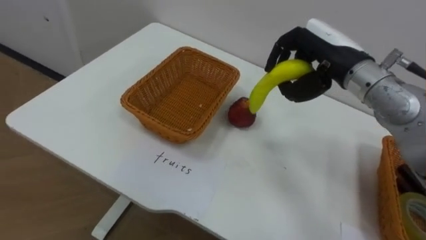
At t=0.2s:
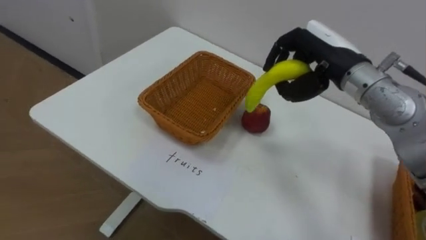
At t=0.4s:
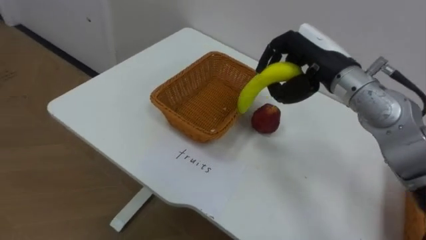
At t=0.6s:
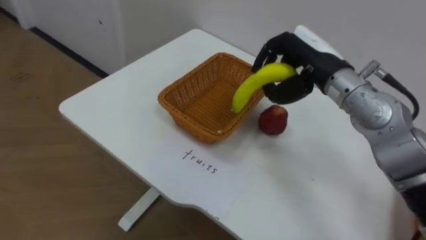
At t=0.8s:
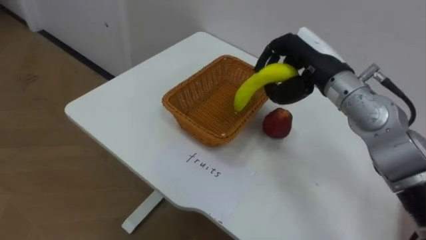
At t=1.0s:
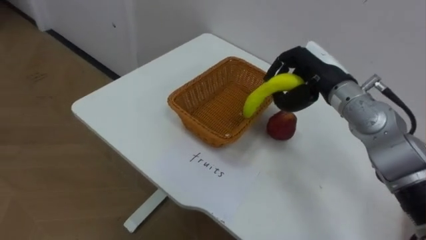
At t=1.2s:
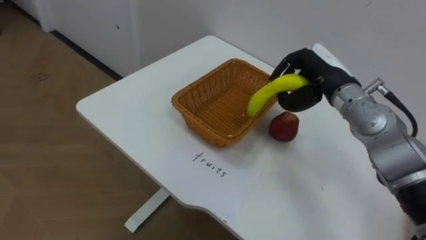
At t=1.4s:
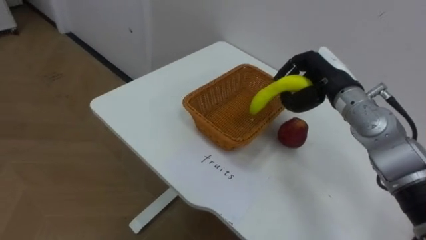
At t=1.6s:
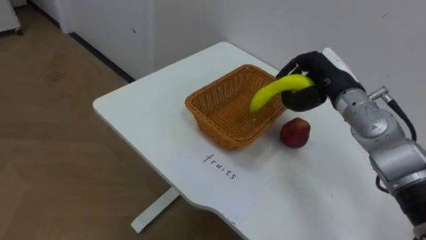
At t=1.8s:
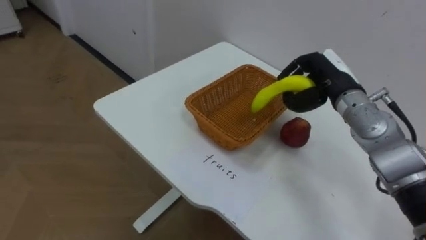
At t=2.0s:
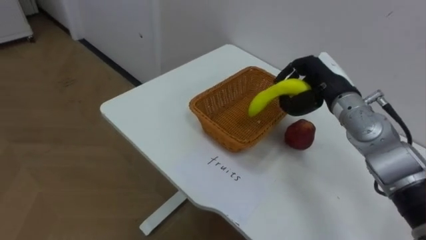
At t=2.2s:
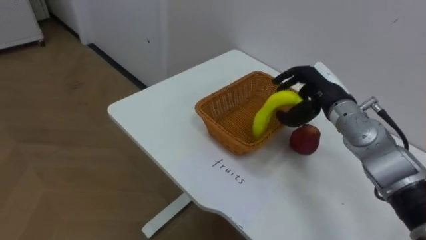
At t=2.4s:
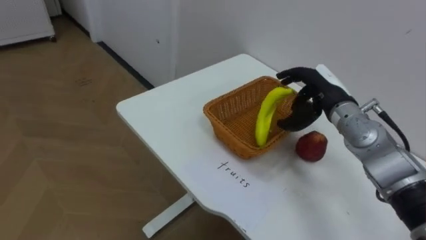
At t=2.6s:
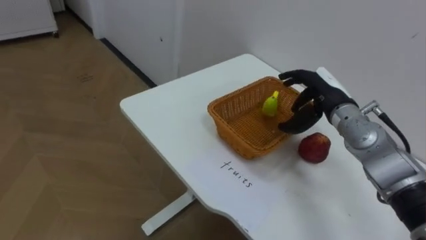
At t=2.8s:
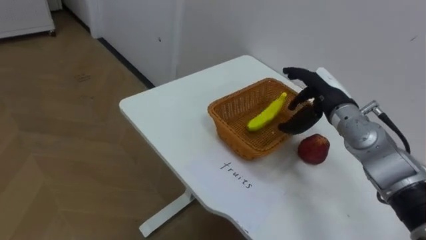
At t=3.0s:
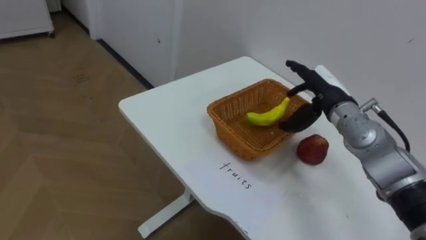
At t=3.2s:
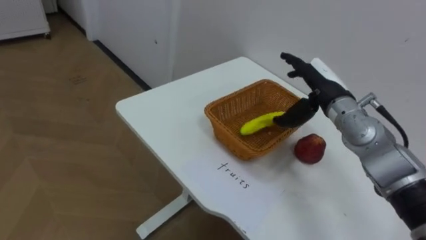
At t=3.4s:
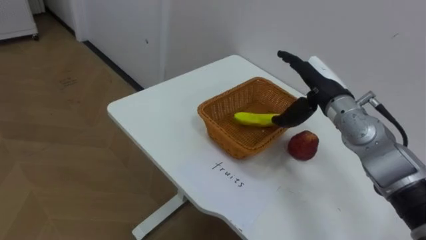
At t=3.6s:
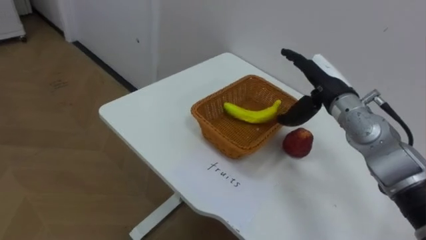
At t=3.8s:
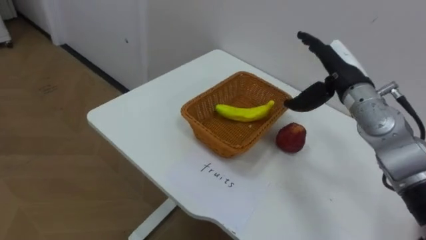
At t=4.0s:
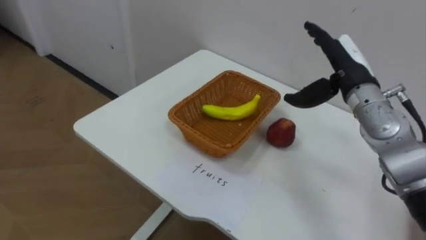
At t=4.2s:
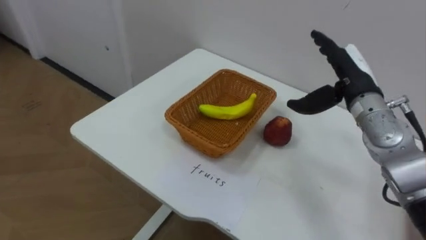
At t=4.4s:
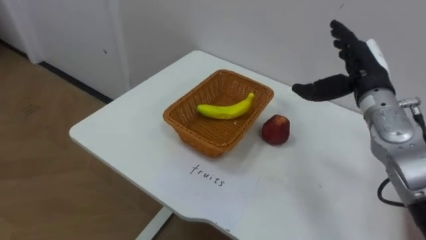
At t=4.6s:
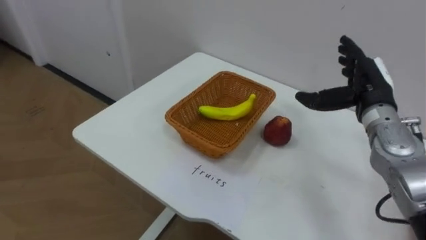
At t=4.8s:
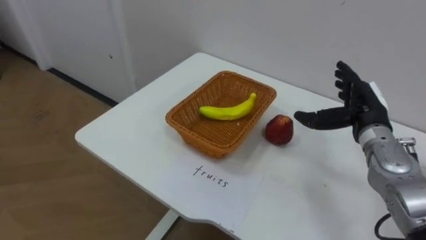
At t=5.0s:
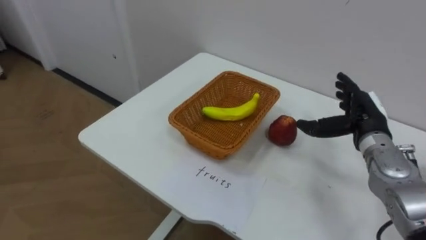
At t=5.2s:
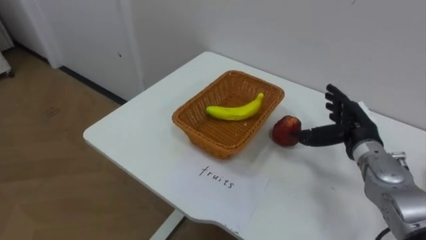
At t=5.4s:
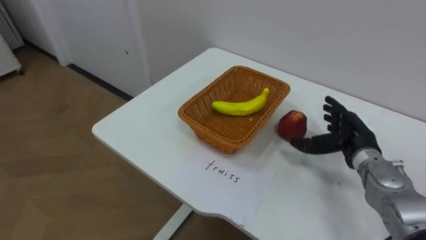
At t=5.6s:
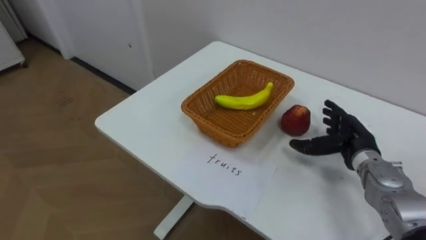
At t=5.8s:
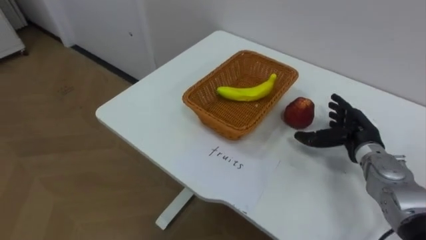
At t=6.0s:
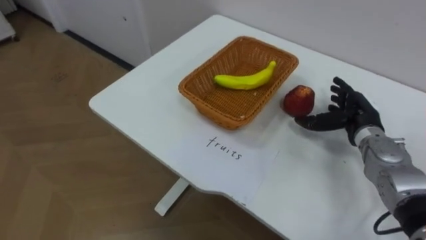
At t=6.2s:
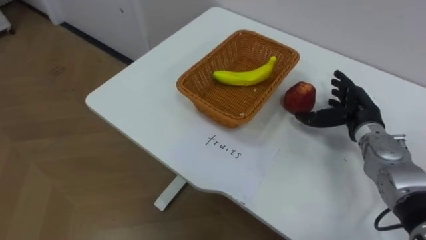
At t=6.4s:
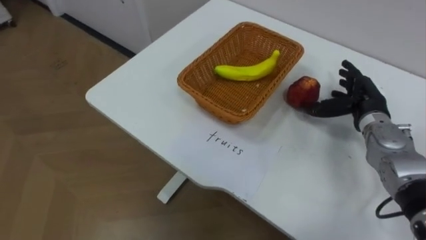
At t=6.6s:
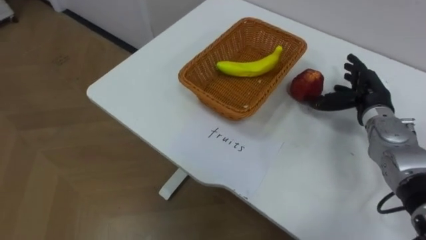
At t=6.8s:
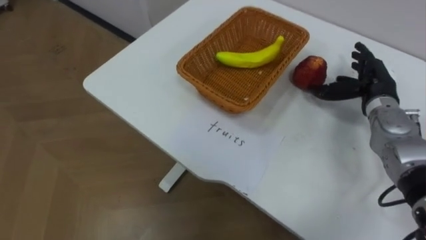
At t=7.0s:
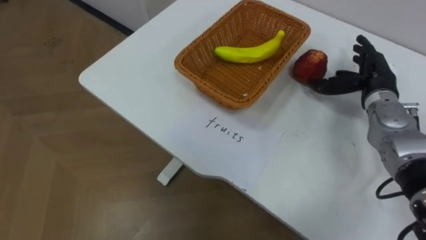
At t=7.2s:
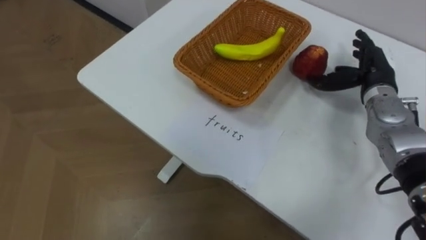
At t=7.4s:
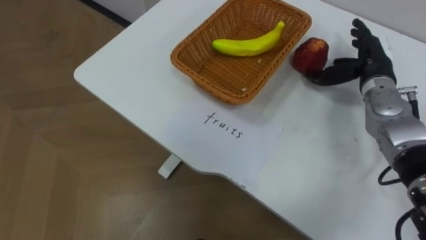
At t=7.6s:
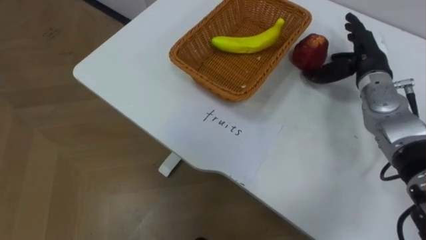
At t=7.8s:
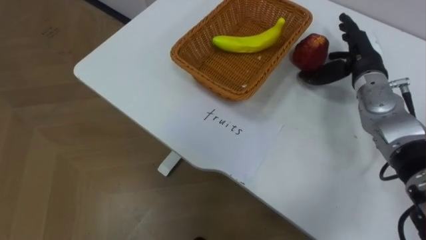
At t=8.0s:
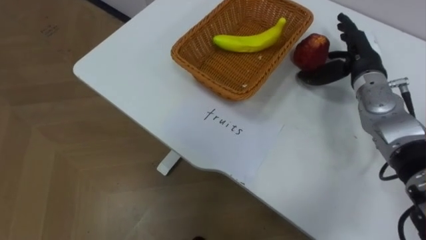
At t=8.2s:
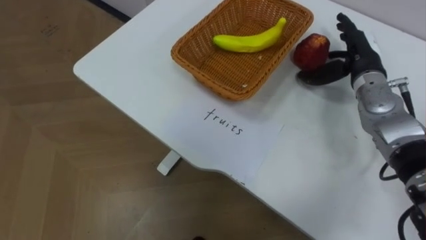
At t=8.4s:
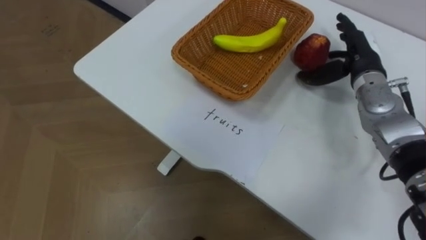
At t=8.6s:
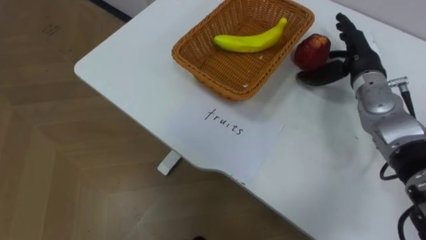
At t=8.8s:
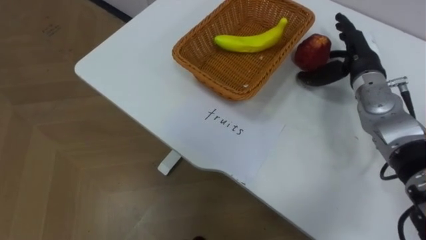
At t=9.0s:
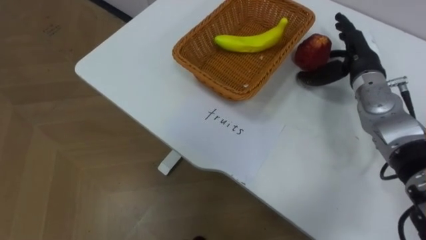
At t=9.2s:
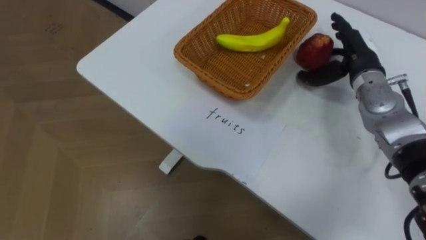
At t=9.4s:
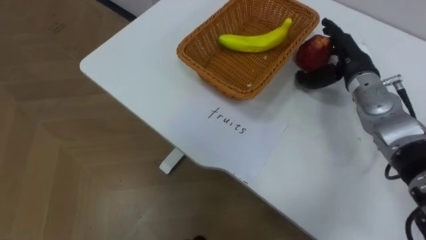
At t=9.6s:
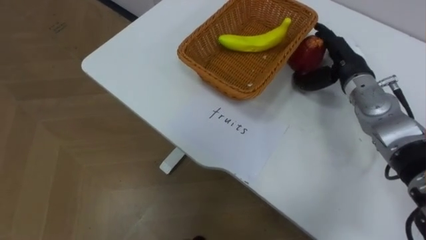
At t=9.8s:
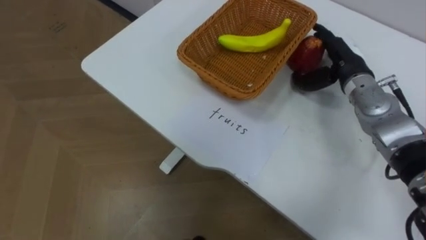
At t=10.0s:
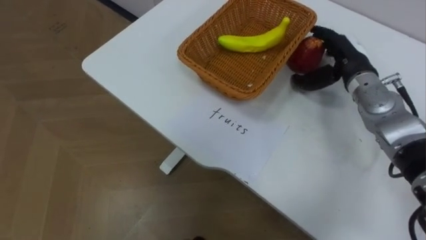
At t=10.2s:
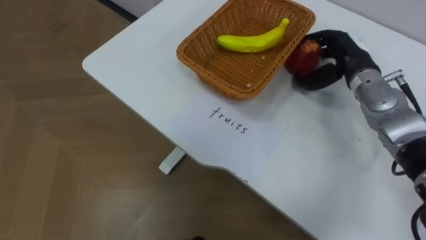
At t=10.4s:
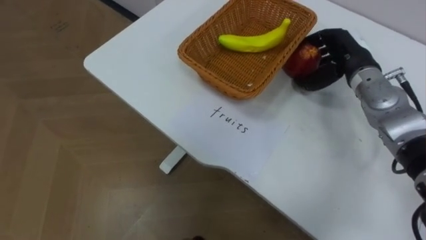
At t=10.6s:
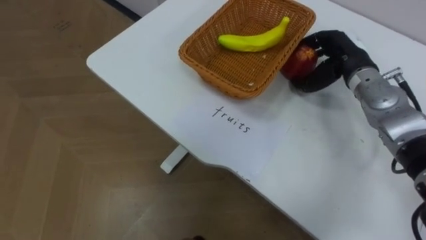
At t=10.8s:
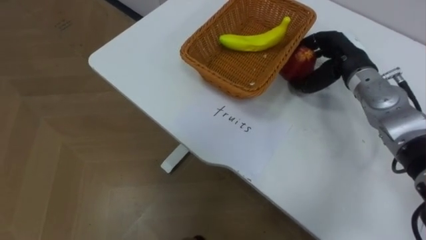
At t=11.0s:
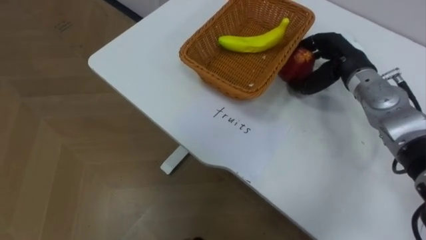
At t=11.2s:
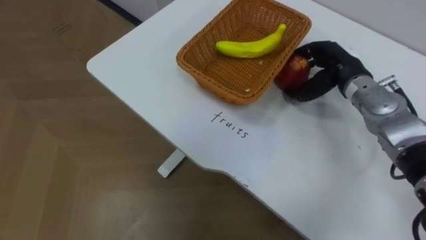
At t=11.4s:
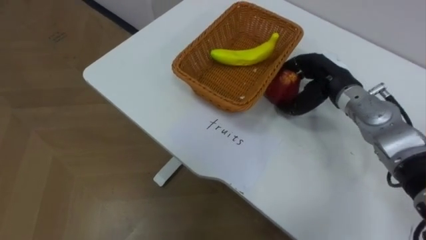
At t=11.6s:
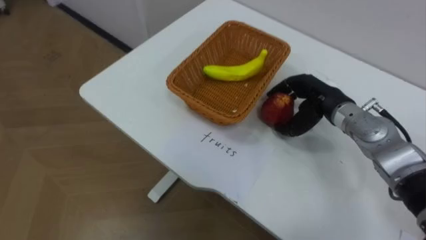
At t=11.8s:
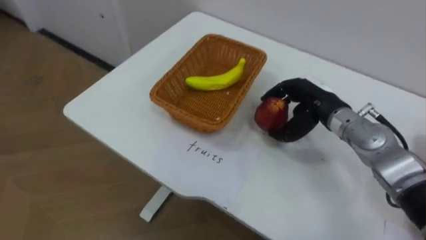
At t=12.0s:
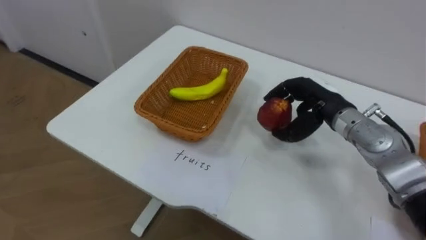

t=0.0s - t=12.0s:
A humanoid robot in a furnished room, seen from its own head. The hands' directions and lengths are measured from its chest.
Task of the whole recording: Separate the items on the table and place them into the two baskets.
t=0.0s - t=1.6s: The right hand heads downward, covering roughly 5 cm.
t=1.6s - t=3.0s: The right hand opens its fingers.
t=3.0s - t=4.4s: The right hand goes about 5 cm upward.
t=4.4s - t=6.0s: The right hand is displaced downward by some 10 cm.
t=6.0s - t=7.6s: The right hand heads upward and forward, covering about 10 cm.
t=9.0s - t=10.4s: The right hand closes its fingers.
t=10.4s - t=12.0s: The right hand shifts about 5 cm backward.

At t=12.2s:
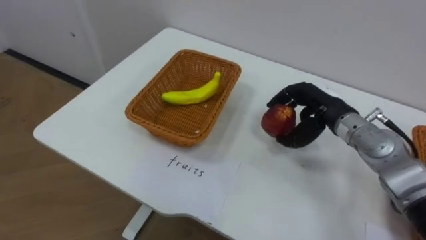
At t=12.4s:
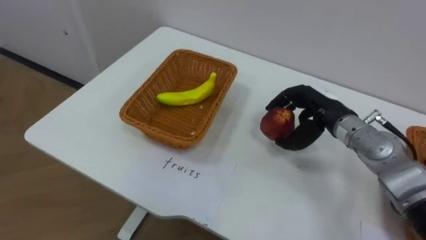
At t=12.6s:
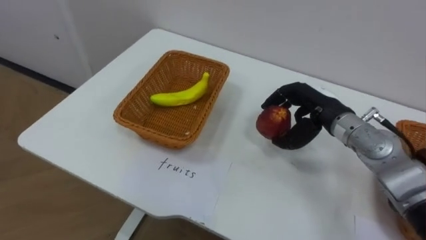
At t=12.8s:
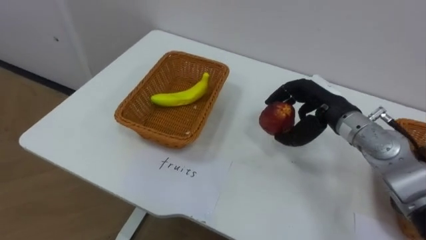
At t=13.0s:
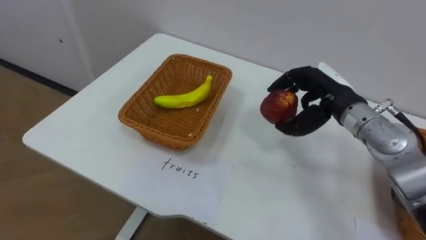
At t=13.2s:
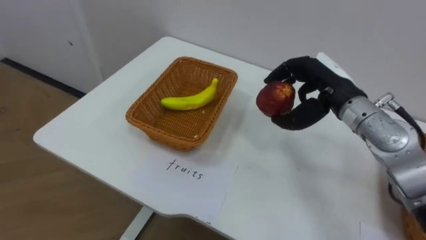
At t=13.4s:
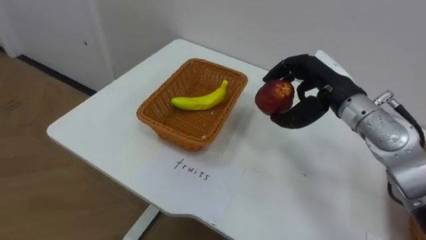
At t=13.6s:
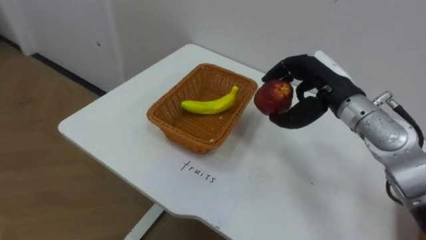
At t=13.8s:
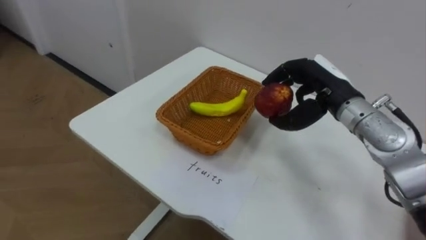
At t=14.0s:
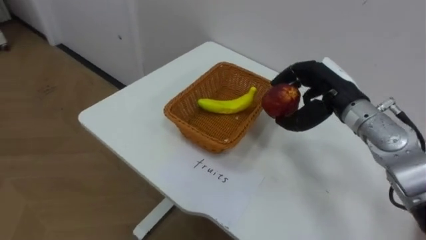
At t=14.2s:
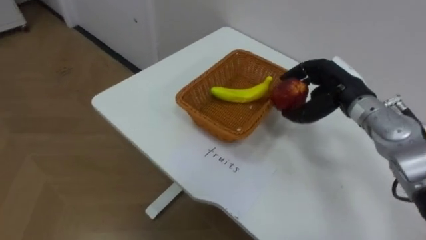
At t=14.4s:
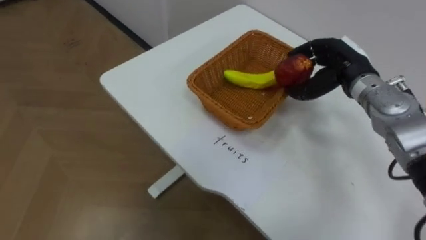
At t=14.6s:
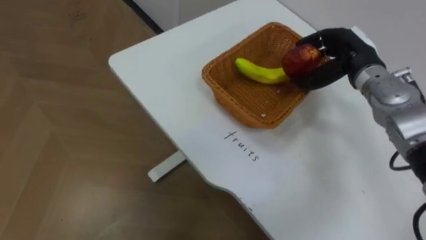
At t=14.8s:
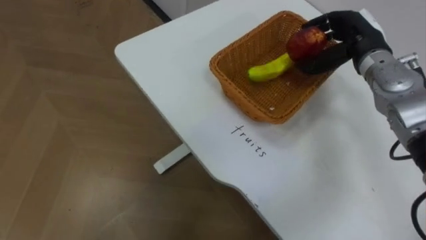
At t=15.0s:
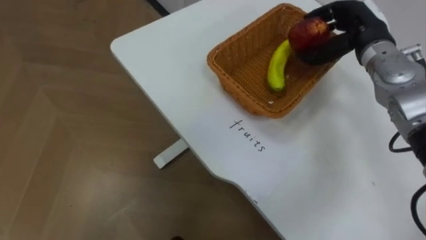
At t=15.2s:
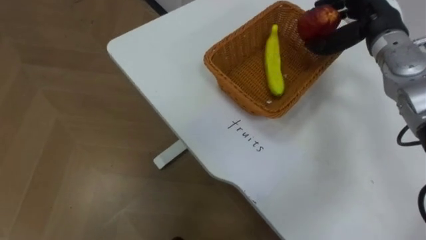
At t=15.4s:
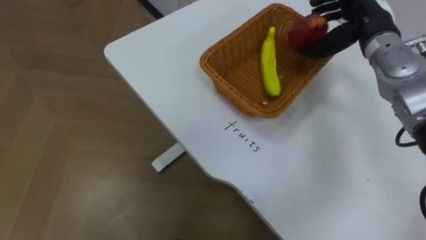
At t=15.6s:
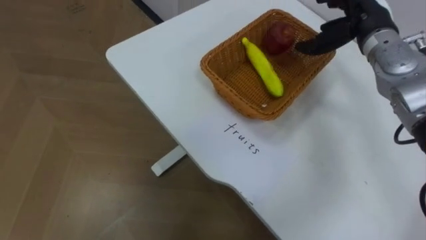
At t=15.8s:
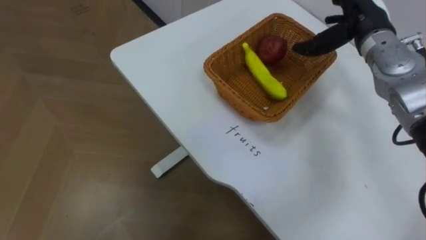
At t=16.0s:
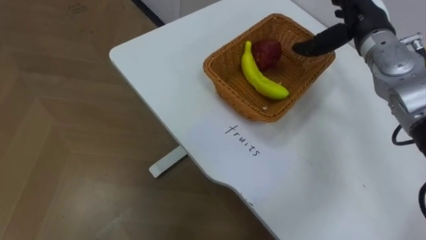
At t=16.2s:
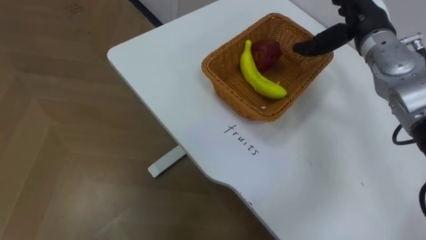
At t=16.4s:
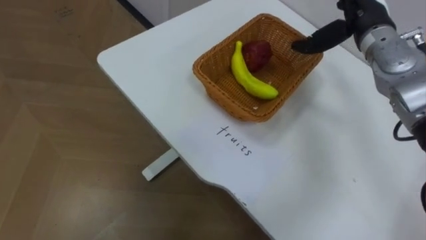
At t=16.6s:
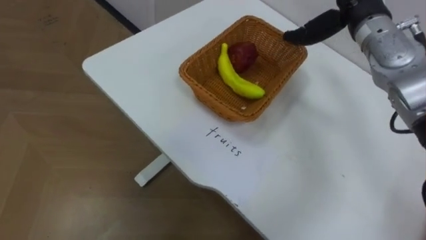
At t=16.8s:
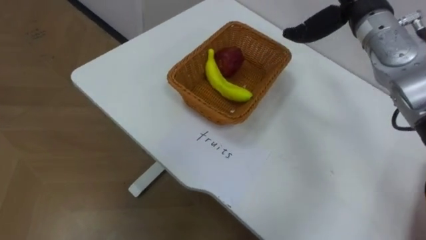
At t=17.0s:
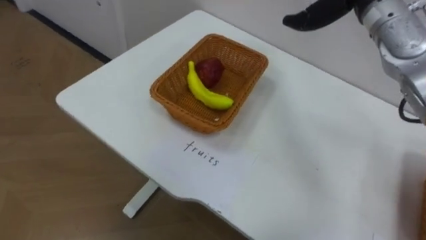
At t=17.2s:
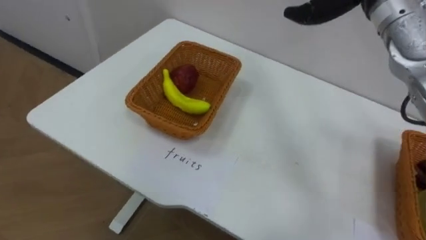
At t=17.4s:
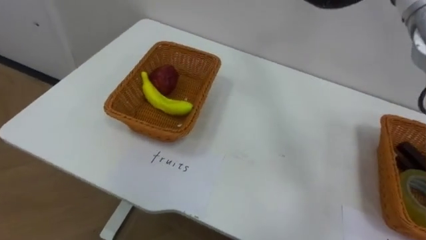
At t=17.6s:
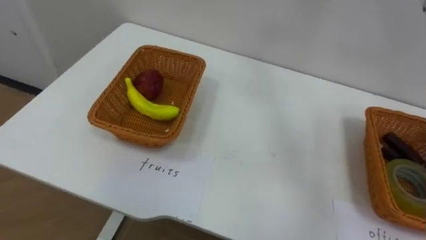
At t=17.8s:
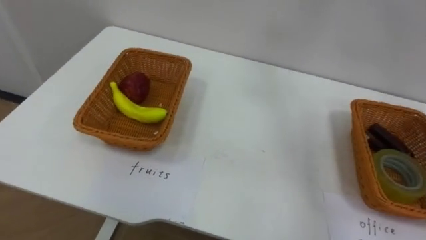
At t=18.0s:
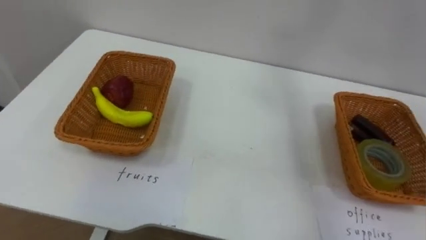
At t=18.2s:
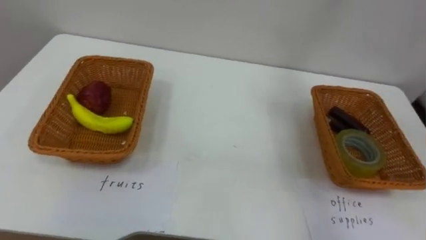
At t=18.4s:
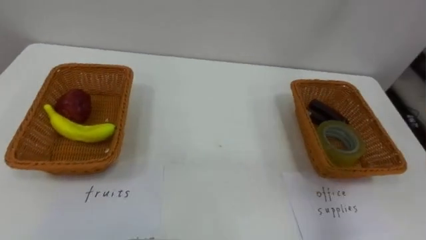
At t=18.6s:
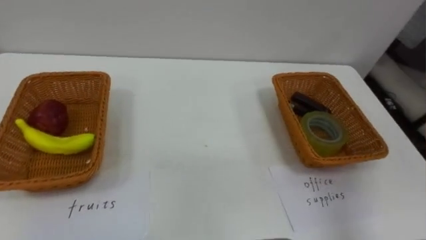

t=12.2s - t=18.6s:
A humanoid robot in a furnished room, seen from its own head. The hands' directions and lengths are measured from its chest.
Task of the whole recording: Separate the items on the table and place them into the two baskets.
t=12.2s - t=13.8s: The right hand heads upward, covering about 5 cm.
t=13.8s - t=15.4s: The right hand goes roughly 10 cm forward, upward and to the right.
